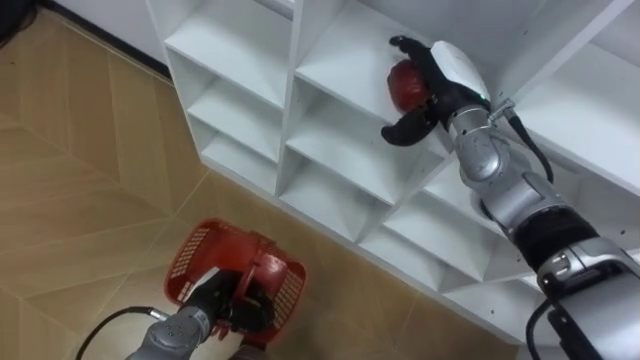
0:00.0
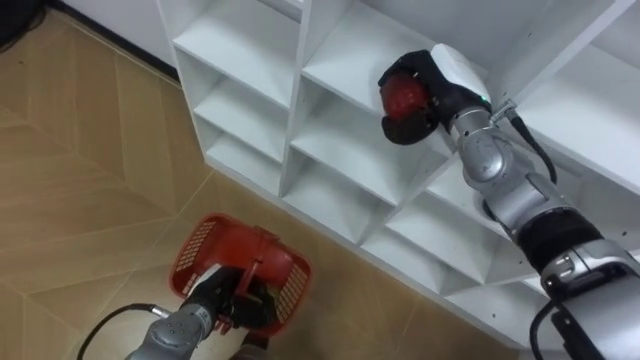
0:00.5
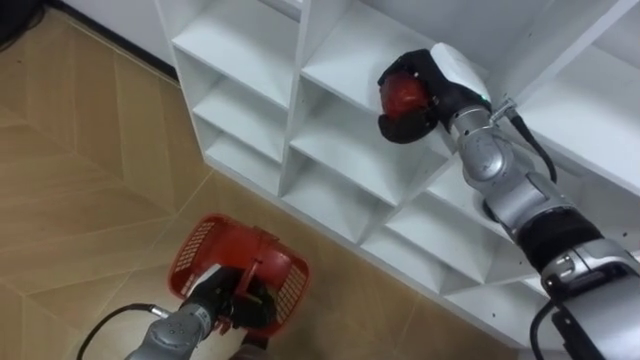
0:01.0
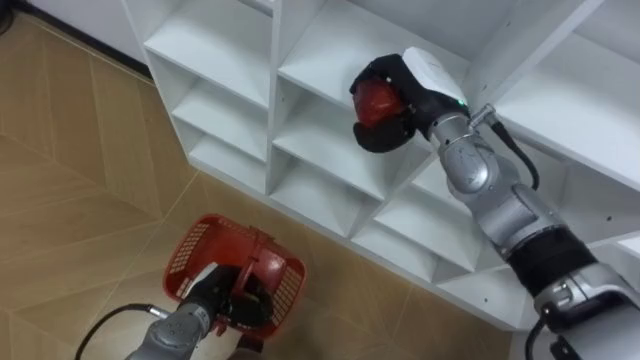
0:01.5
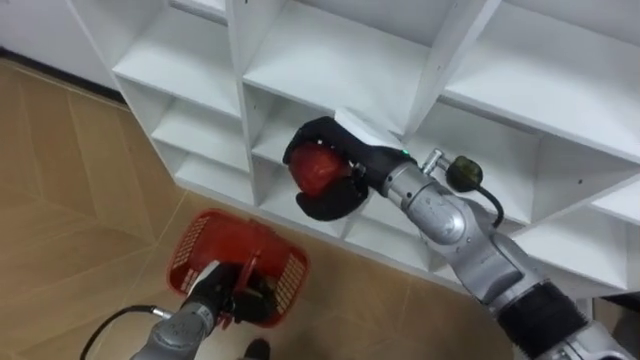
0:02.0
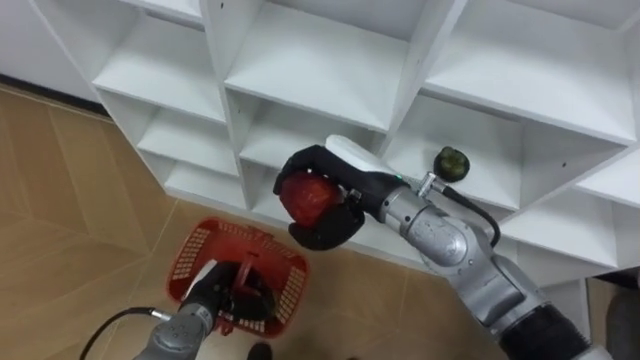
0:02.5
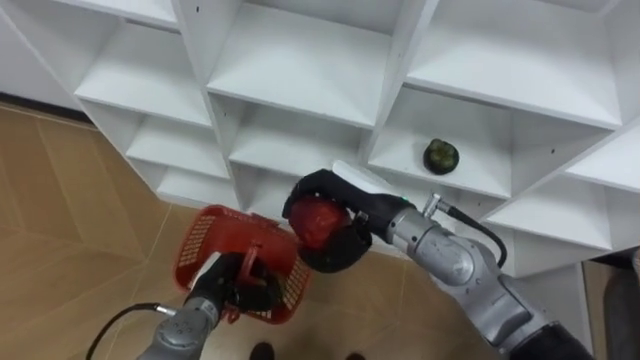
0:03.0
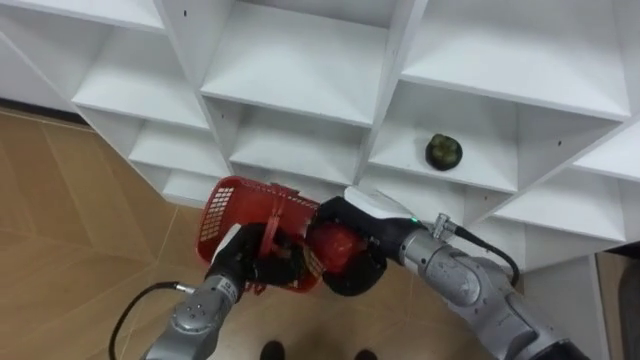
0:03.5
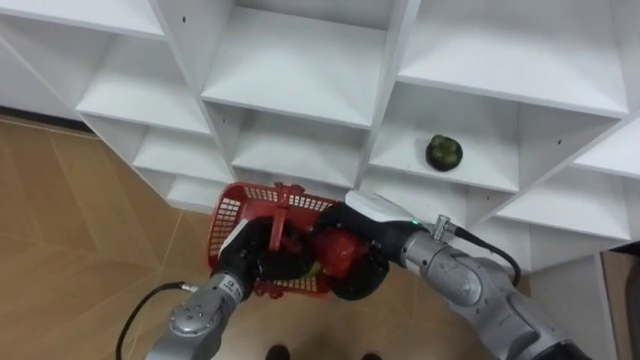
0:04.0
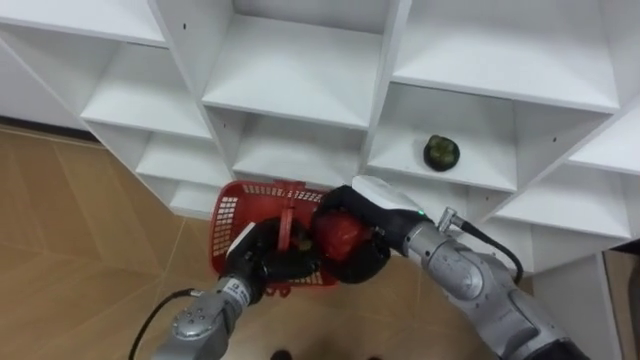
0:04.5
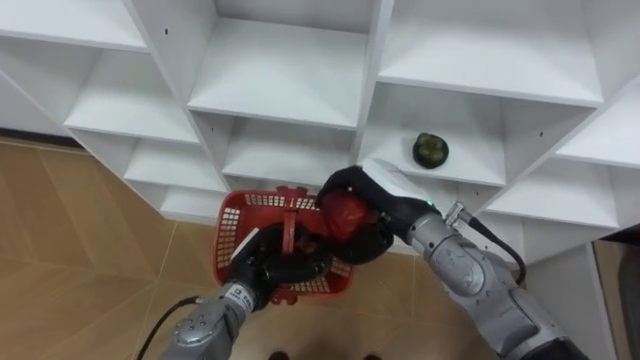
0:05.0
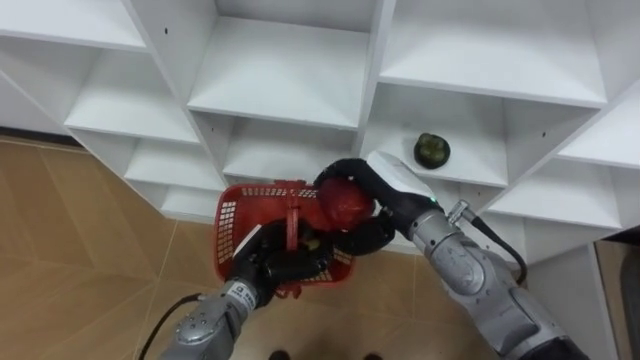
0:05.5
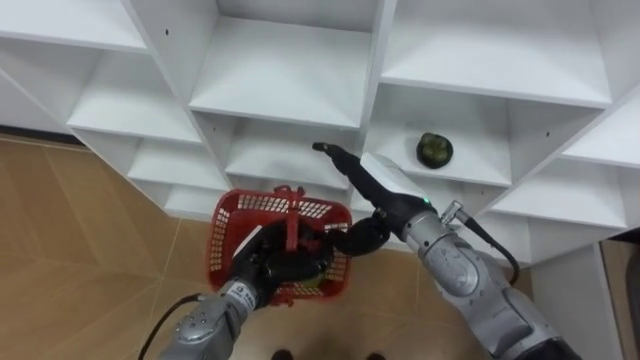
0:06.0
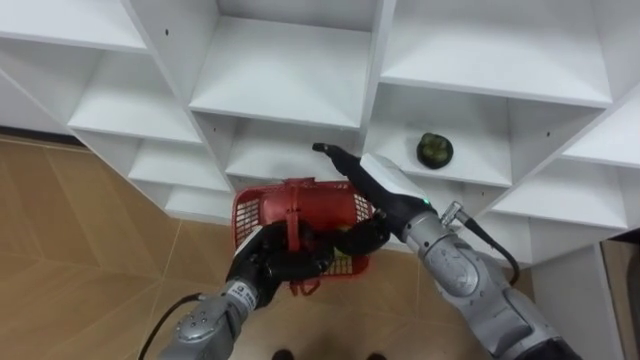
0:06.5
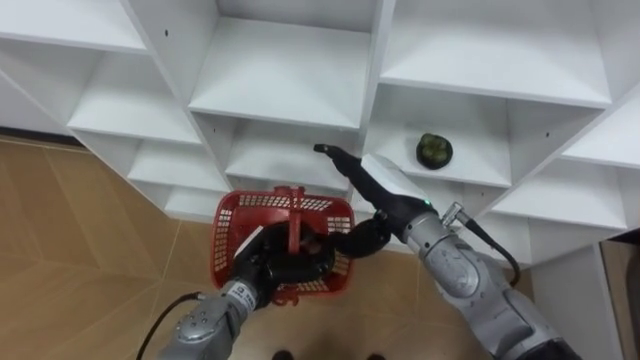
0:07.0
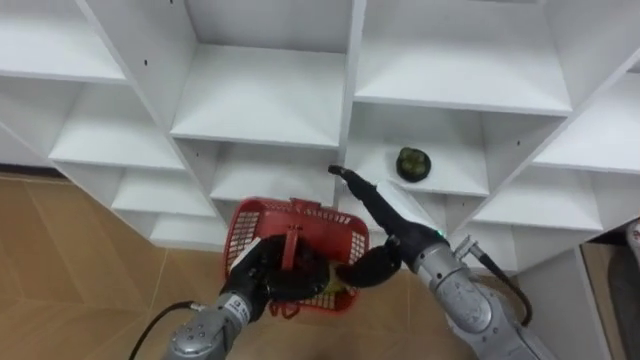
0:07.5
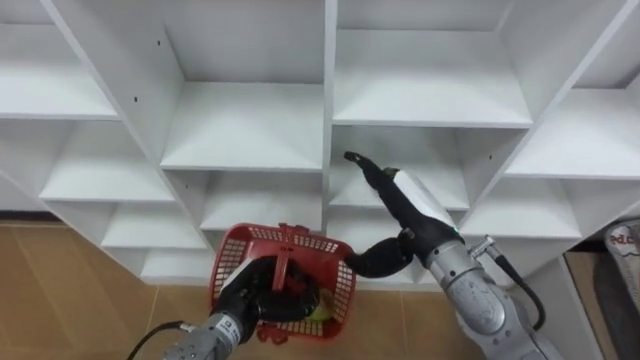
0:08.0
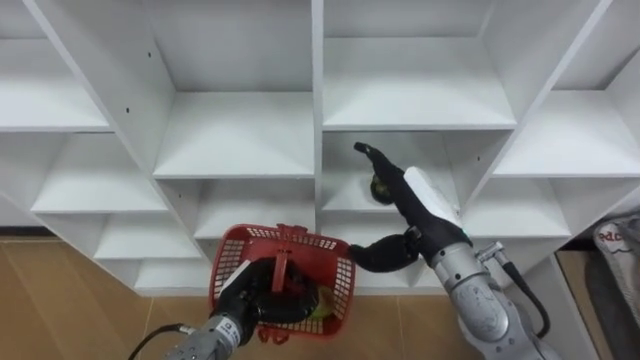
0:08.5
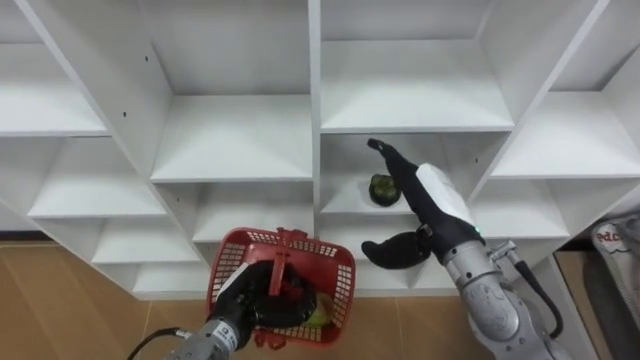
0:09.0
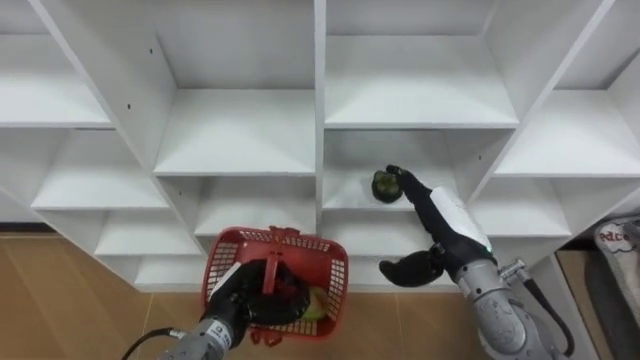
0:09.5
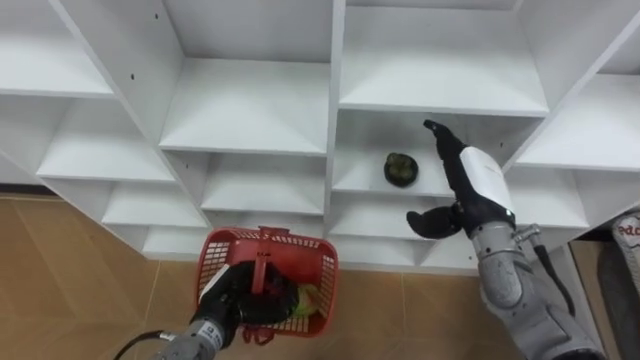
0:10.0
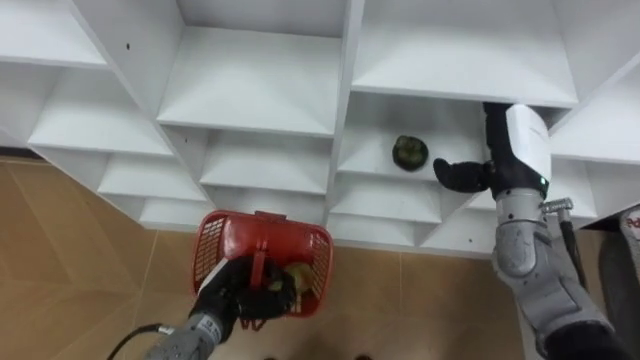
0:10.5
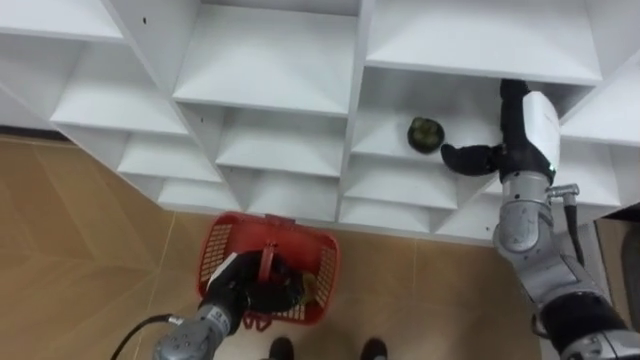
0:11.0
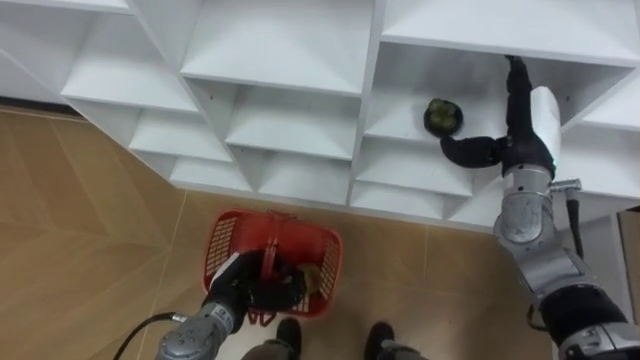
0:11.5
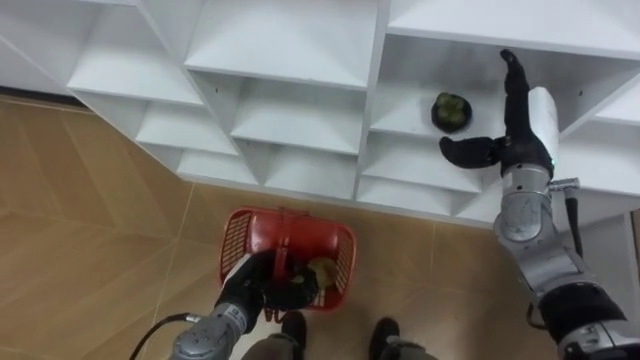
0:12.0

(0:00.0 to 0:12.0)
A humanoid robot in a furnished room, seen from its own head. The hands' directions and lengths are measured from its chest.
Task of the whole recording: Hold the basket and collect the fruits from 3 different cells of the closet into it.
0:00.0 - 0:02.0: The right hand moves to the left and backward, approximately 15 cm, and closes.
0:02.0 - 0:04.0: The right hand is displaced downward and backward by about 10 cm. The left hand heads upward and to the right, covering some 10 cm.
0:04.0 - 0:06.0: The right hand opens.
0:06.0 - 0:08.0: The left hand shifts by roughly 5 cm.
0:08.0 - 0:10.0: The right hand shifts some 10 cm to the right.
0:10.0 - 0:12.0: The right hand heads upward, to the right and forward, covering roughly 10 cm.

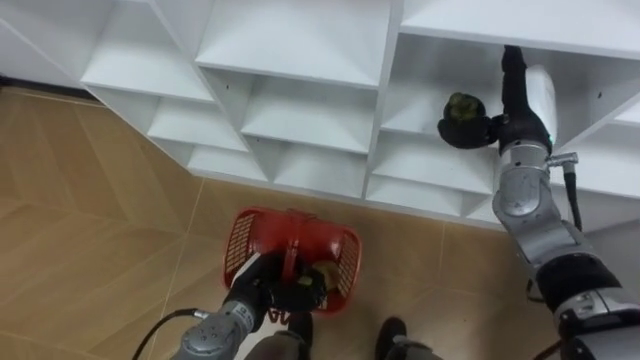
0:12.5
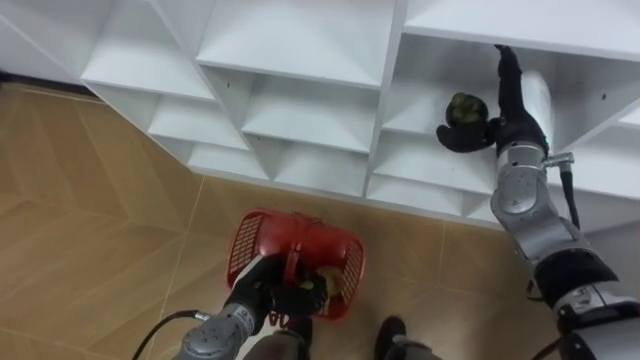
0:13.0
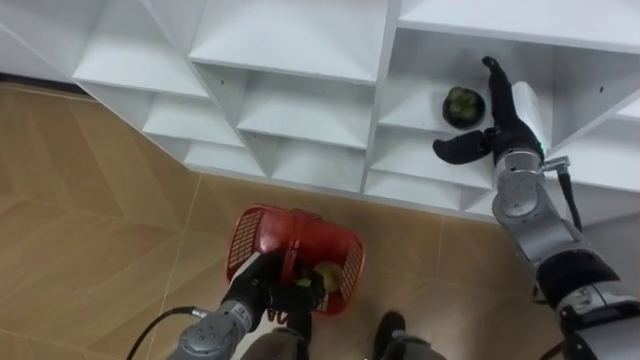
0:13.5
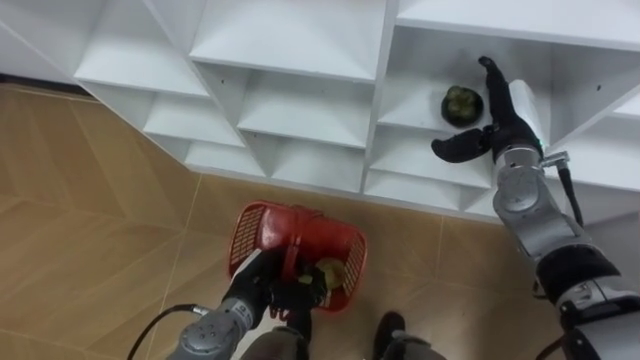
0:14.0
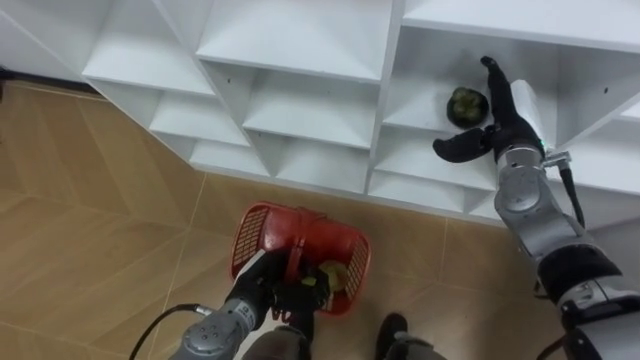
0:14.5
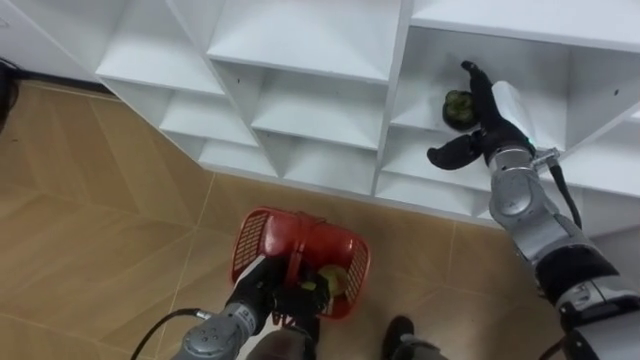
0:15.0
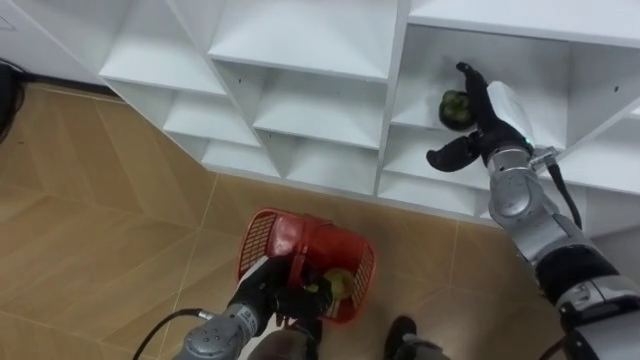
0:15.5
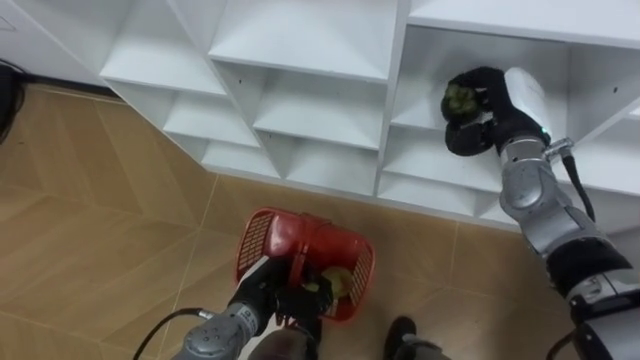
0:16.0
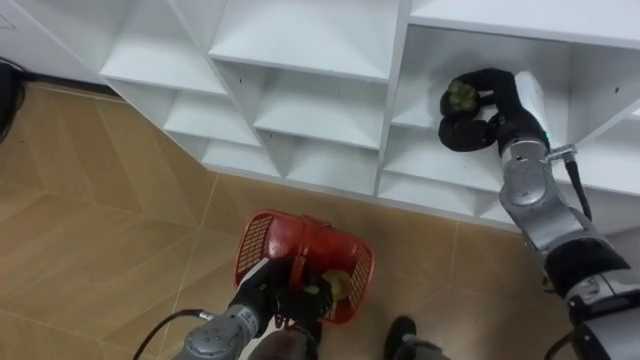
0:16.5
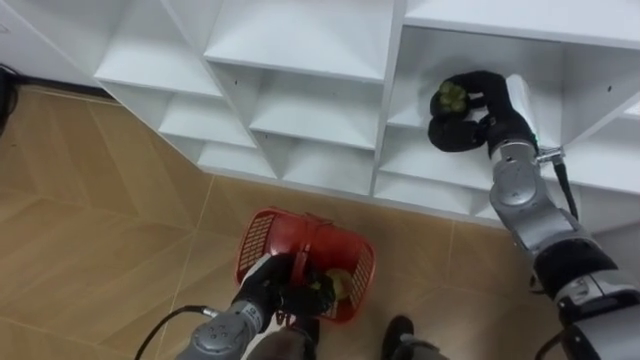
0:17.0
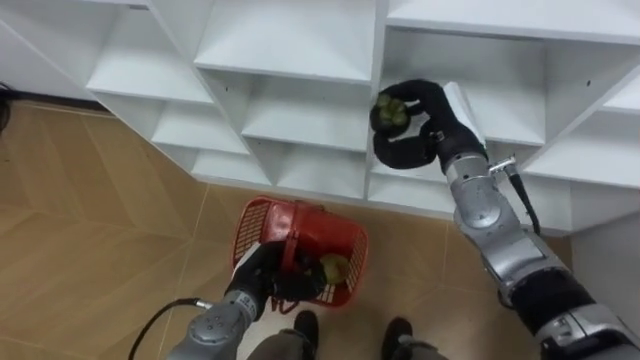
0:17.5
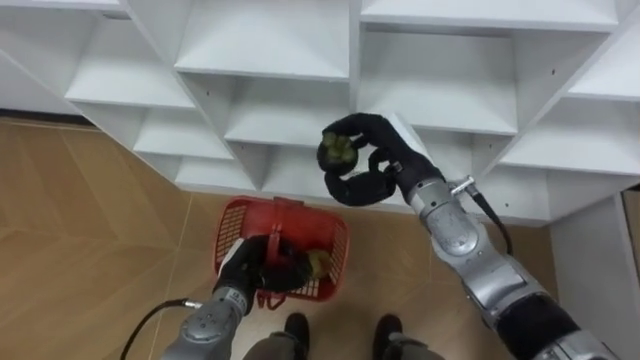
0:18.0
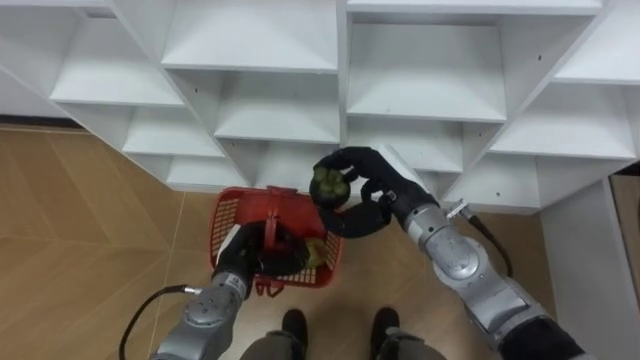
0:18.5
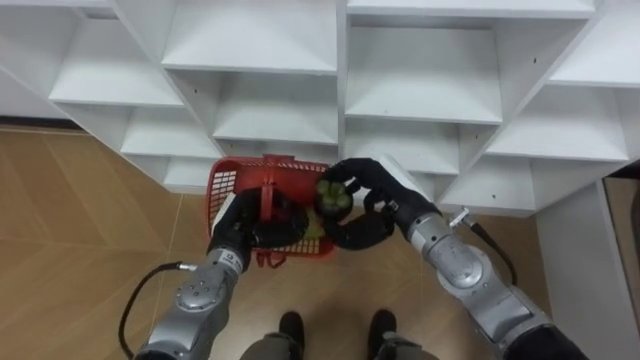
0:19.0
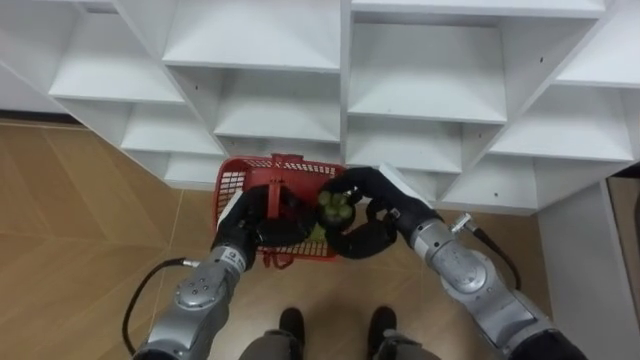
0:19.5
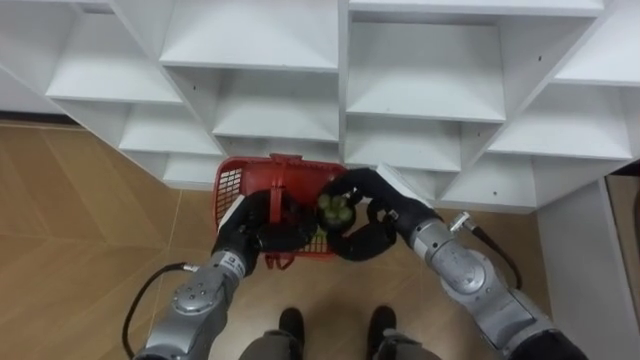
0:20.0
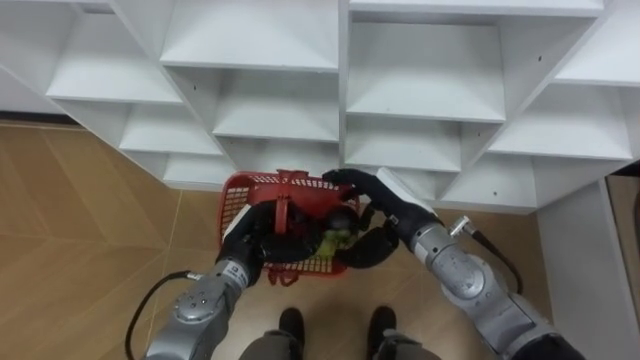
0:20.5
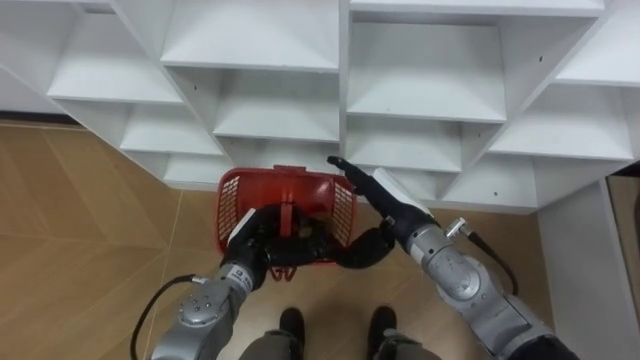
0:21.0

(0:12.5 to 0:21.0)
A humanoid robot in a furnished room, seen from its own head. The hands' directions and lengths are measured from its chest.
Task of the whole recording: Hold the basket and collect the fruits from 3 different cells of the closet into it.
0:12.5 - 0:14.5: The hands move only a little.
0:14.5 - 0:16.5: The right hand closes.
0:16.5 - 0:19.0: The left hand travels forward and upward by approximately 10 cm; the right hand shifts about 15 cm to the left and backward.
0:19.0 - 0:21.0: The right hand opens up.
